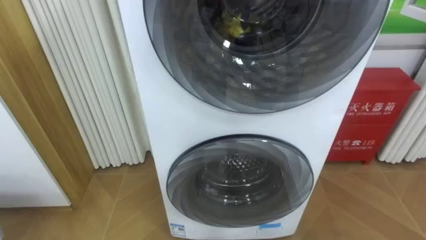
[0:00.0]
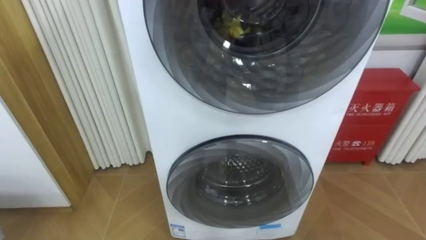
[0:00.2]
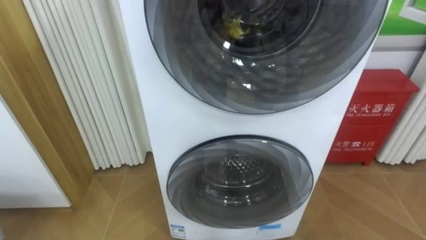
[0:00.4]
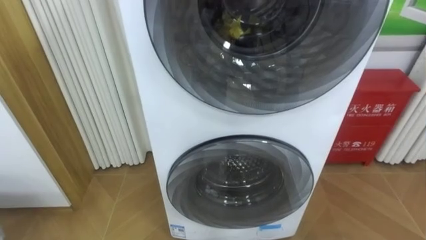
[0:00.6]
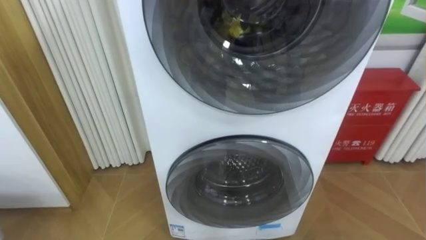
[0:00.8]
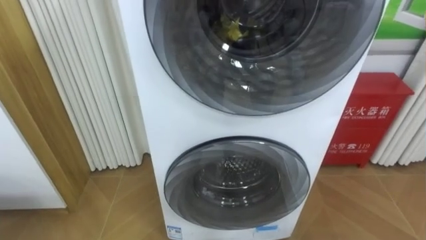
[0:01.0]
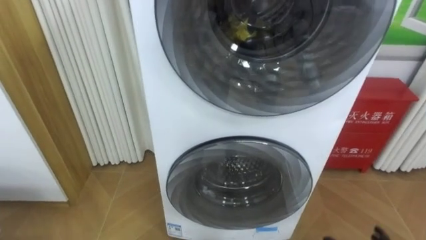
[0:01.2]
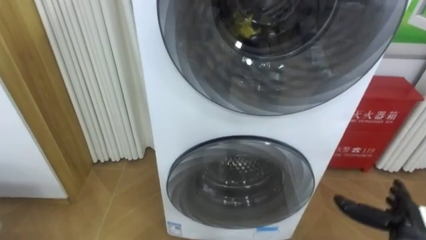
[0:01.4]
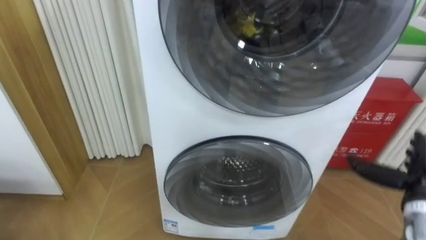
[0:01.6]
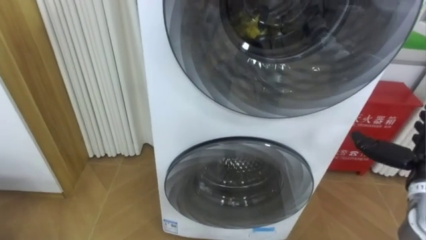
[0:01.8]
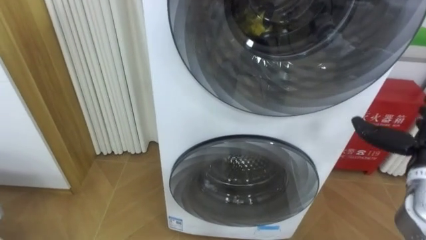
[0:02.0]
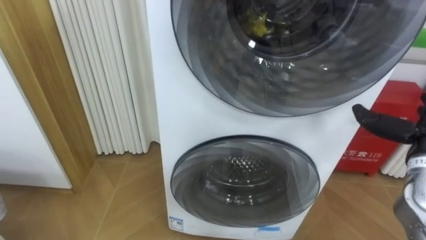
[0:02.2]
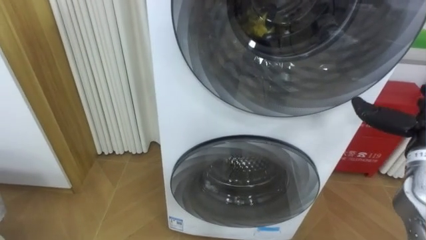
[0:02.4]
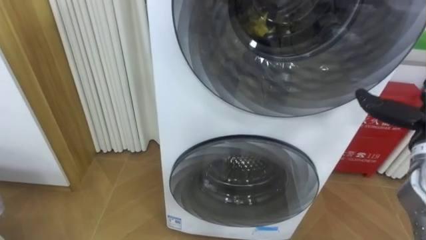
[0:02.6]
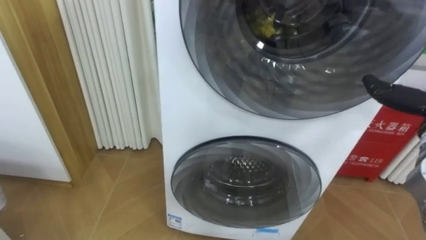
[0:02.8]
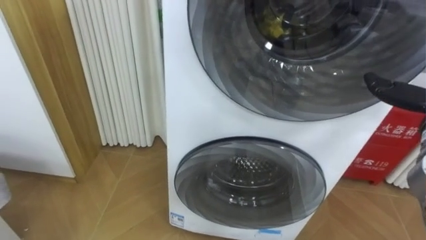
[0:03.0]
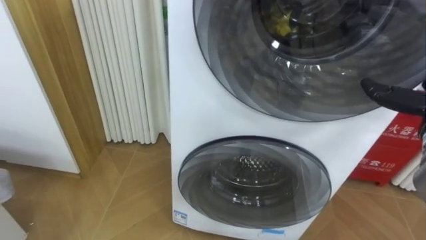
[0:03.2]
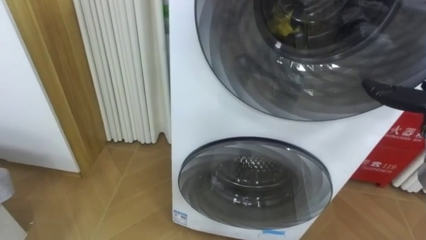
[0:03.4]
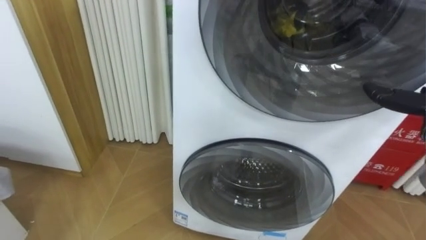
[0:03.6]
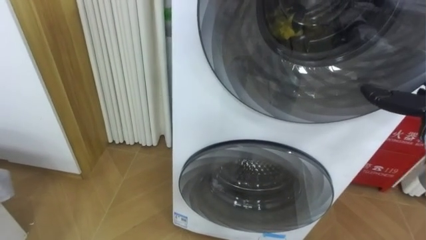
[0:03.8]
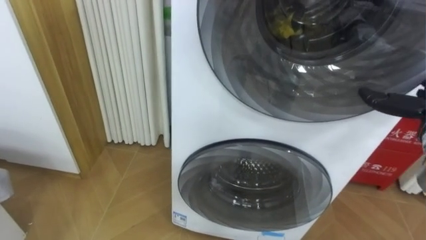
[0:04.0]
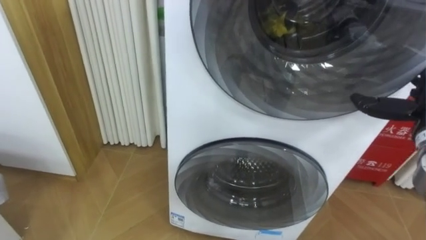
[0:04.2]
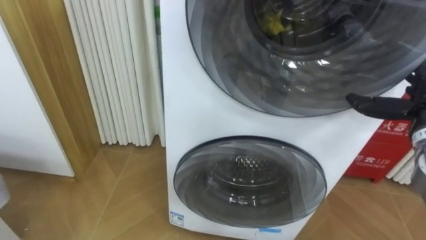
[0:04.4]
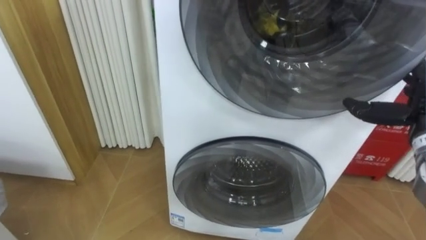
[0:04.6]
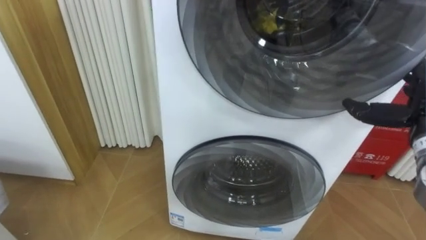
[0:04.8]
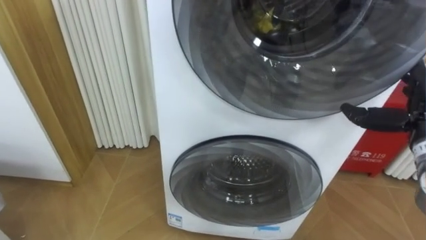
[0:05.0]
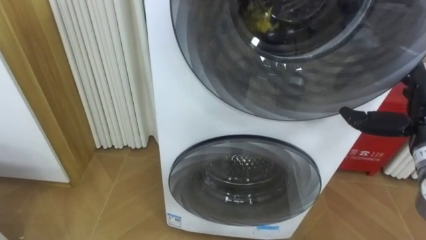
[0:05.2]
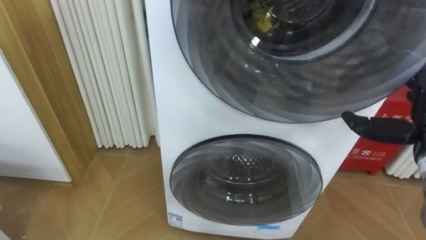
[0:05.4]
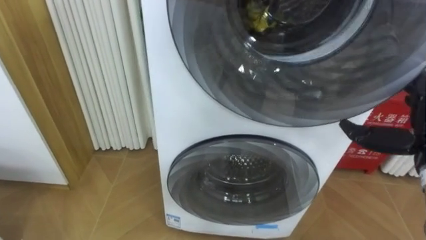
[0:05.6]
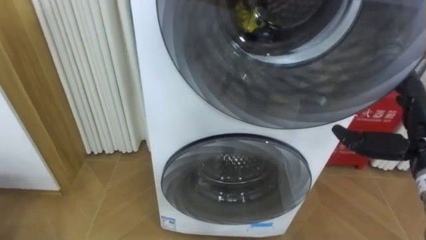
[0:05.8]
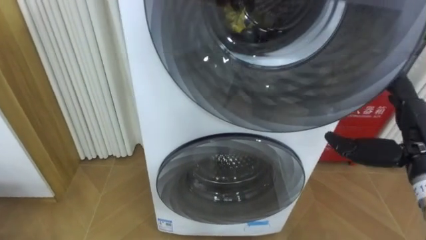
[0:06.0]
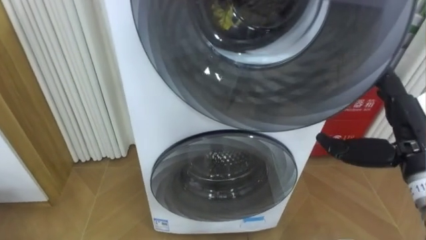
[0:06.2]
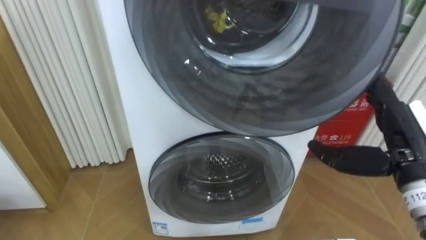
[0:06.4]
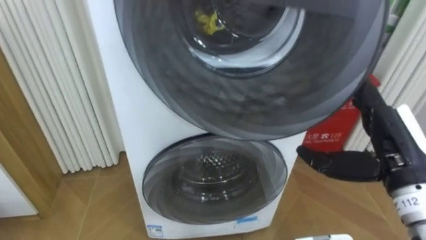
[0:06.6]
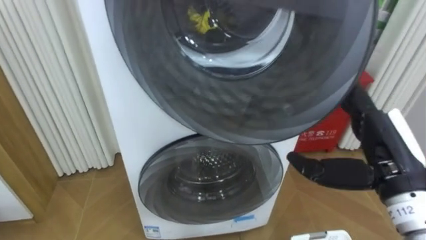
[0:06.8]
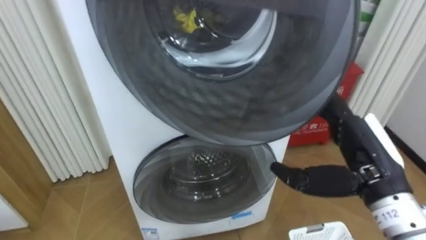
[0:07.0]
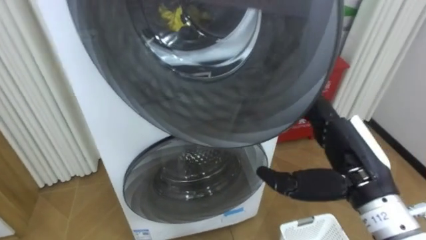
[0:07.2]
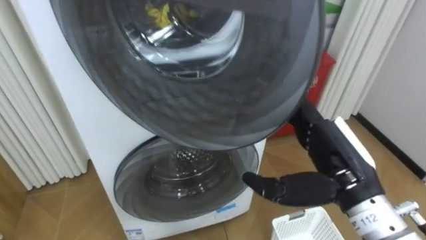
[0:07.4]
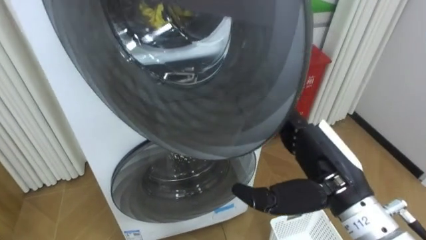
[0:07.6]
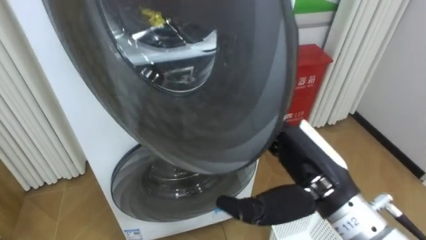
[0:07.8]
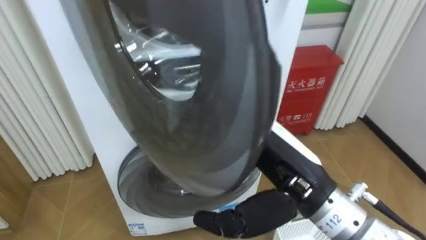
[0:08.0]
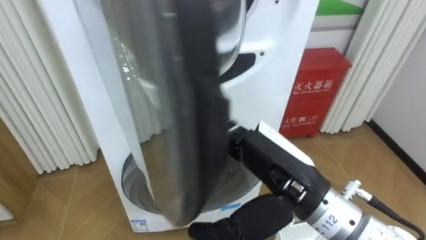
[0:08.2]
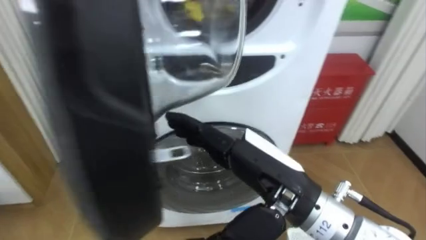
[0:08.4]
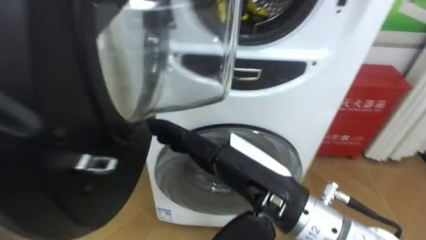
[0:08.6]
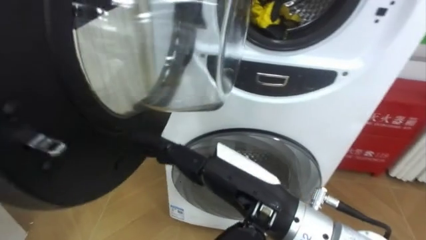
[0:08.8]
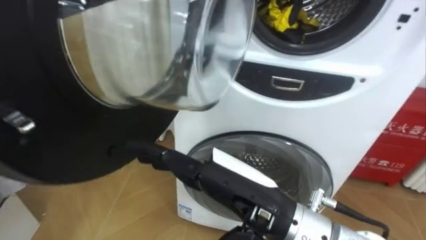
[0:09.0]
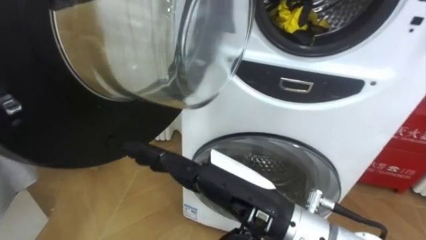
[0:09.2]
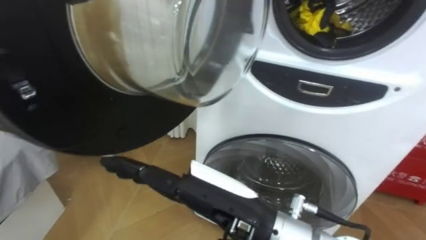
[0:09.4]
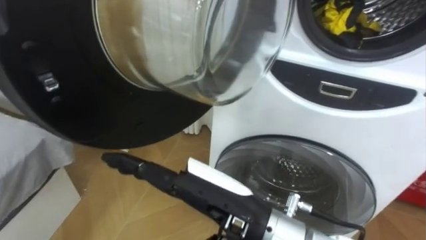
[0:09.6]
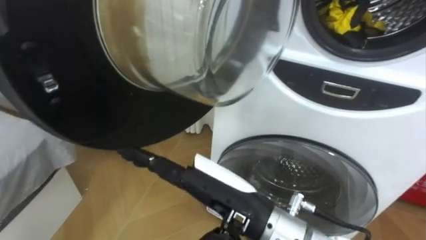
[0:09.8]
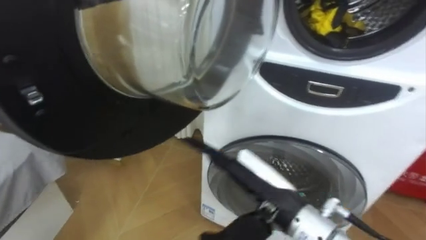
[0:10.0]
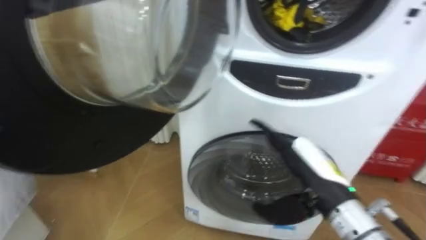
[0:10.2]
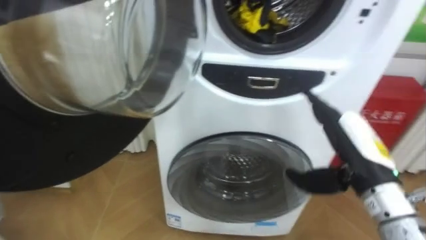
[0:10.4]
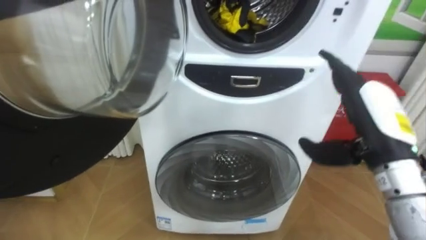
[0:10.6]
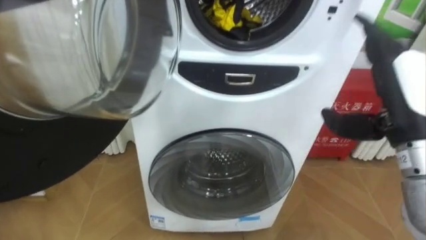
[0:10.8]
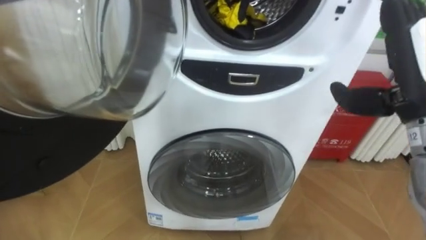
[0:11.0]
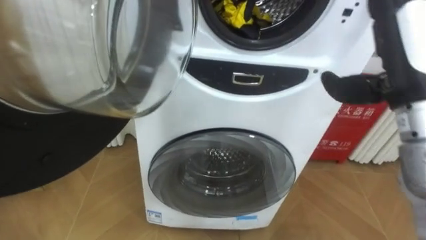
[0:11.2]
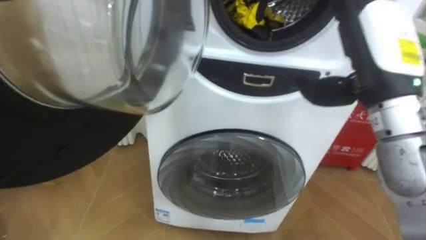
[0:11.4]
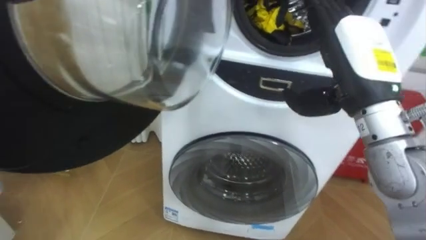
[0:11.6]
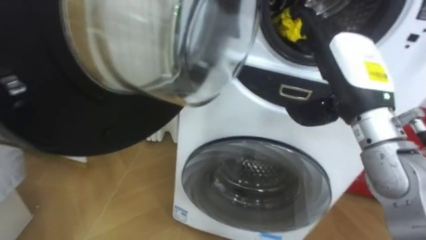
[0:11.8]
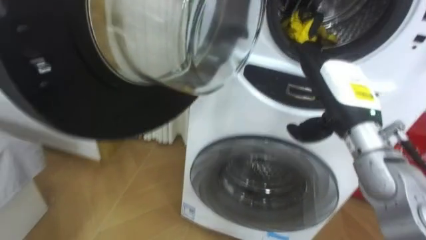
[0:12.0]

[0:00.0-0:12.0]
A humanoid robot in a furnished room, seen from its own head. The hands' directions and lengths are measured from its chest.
Task of the whole recording: Open the washing machine door, take out the yellow clothes, place them in the box on the right, and close the washing machine door.
0:06.0 to 0:07.6: The right hand goes about 15 cm to the left.
0:07.6 to 0:09.0: The right hand moves to the left, roughly 10 cm.
0:09.0 to 0:10.4: The right hand goes some 20 cm to the right and forward.
0:10.4 to 0:12.0: The right hand shifts about 10 cm forward and upward.

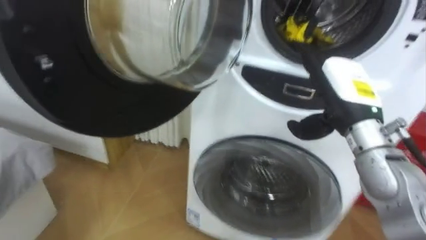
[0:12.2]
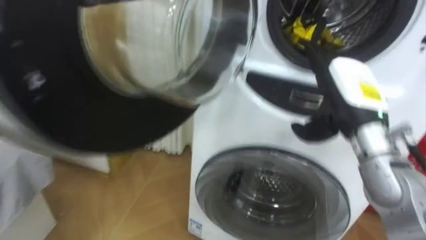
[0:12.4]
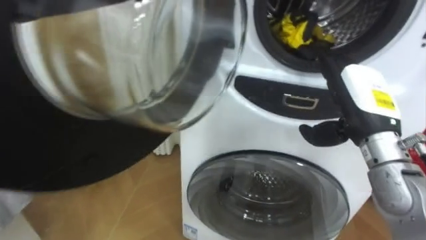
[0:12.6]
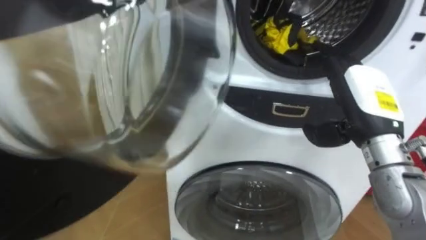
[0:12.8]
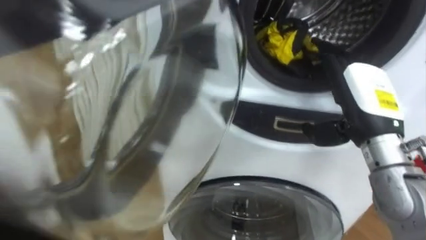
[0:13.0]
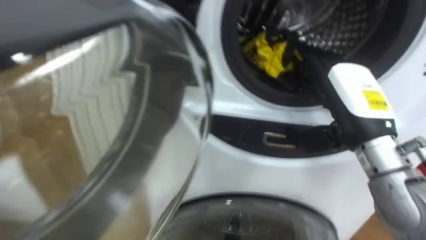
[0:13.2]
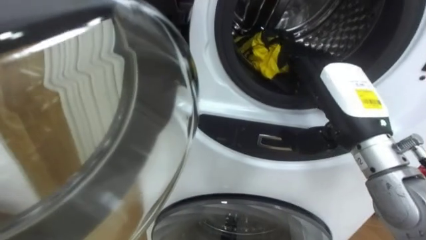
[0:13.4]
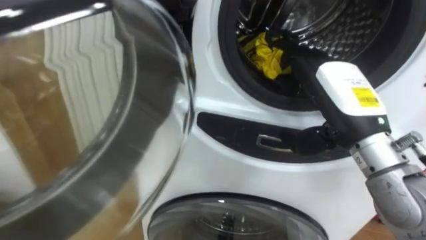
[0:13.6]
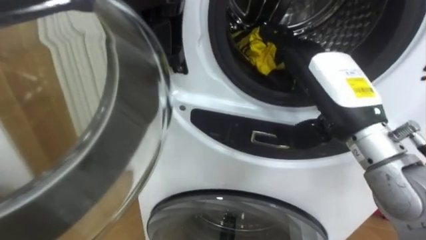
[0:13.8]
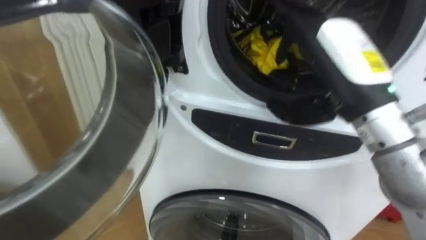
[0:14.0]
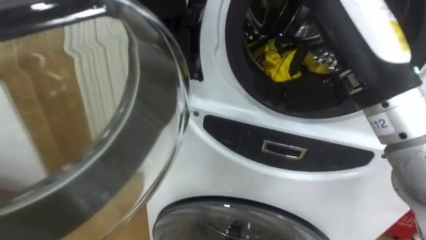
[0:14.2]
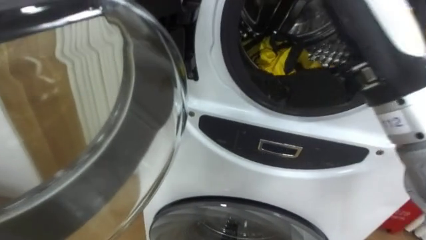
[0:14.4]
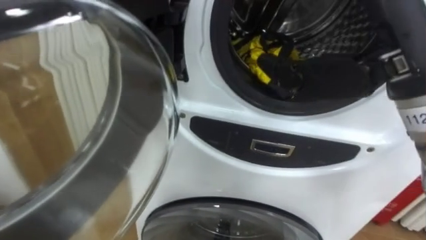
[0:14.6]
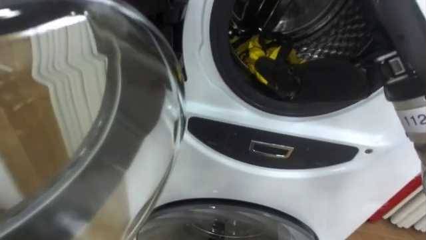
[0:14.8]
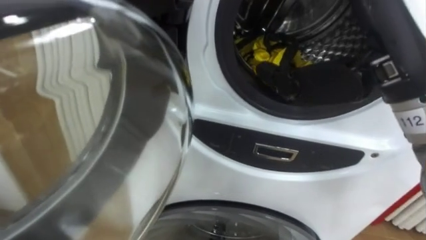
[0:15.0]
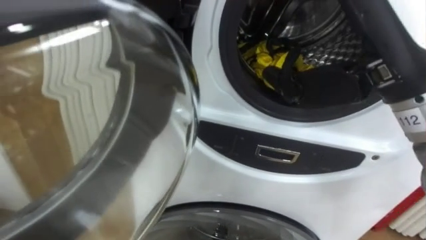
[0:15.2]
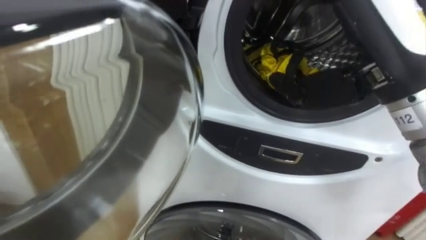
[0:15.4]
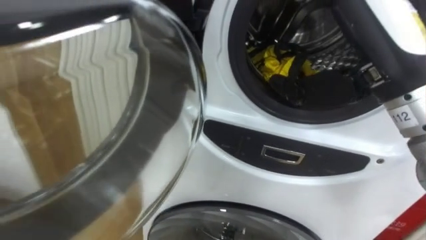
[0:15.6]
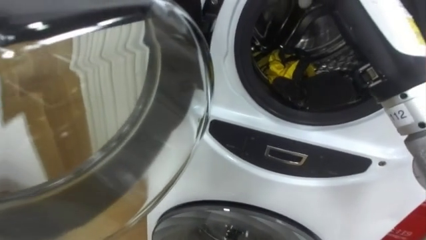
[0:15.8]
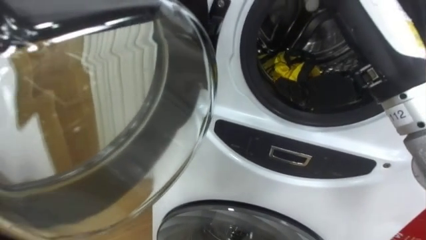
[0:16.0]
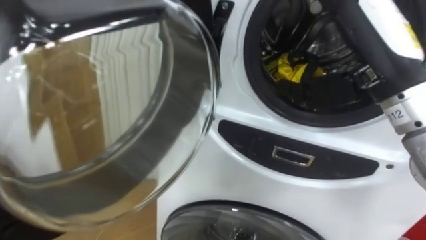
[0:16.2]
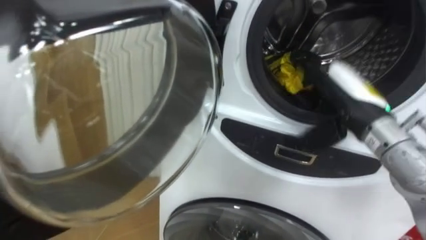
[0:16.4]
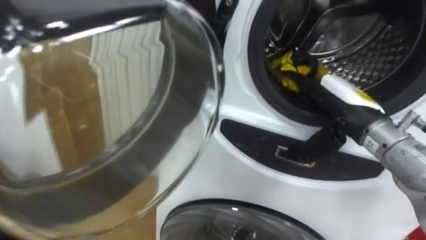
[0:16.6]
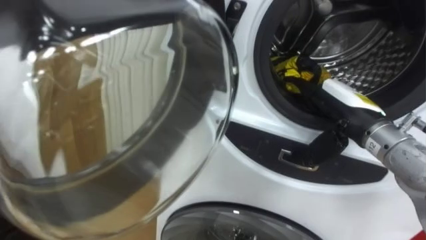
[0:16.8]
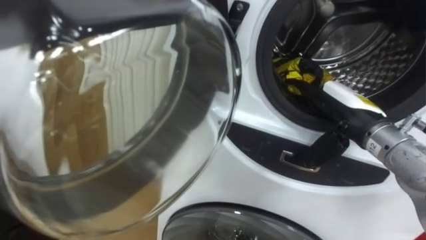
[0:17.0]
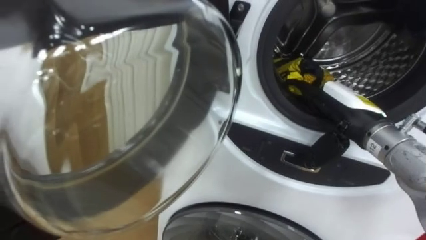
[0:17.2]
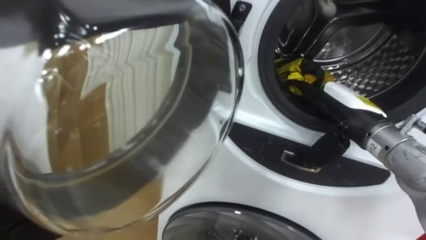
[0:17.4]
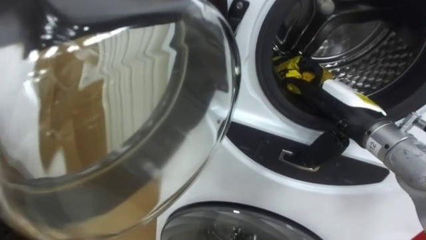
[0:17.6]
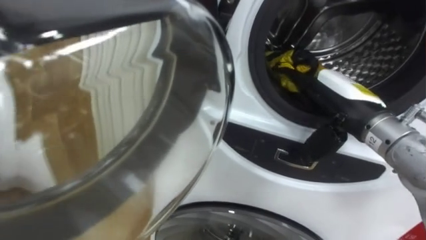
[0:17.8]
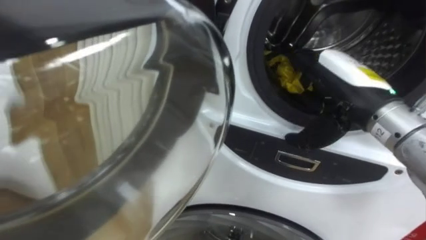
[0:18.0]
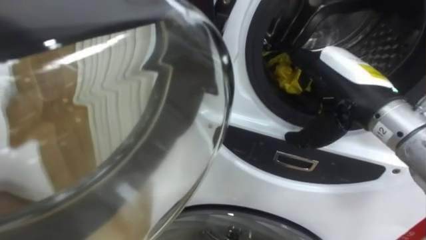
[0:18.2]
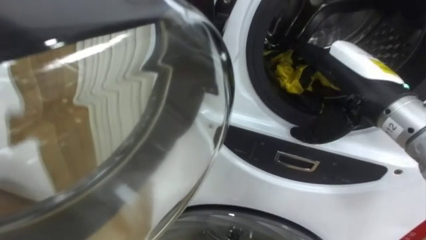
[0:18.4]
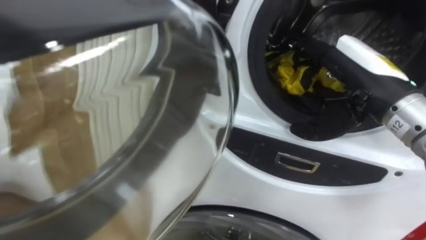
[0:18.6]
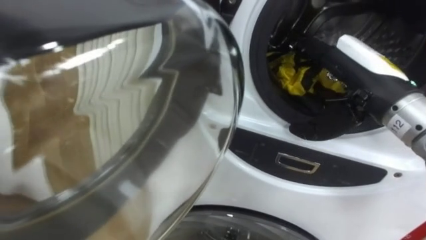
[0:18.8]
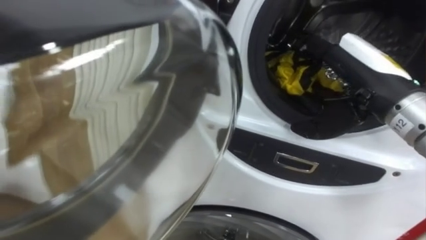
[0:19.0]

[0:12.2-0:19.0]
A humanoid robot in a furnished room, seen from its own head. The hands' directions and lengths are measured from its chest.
Task of the whole recording: Open the washing machine door, take out the yellow clothes, place them in the box on the right, and close the washing machine door.
0:13.6 to 0:15.0: The right hand shifts approximately 15 cm upward and backward.
0:15.0 to 0:16.2: The right hand is displaced forward and downward by approximately 10 cm.
0:16.2 to 0:17.6: The right hand shifts roughly 15 cm downward.
0:17.6 to 0:19.0: The right hand goes some 10 cm upward.
